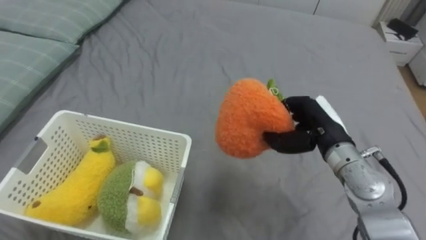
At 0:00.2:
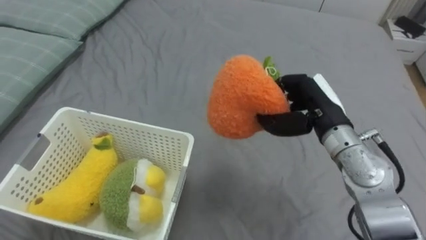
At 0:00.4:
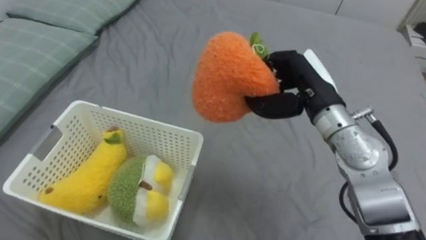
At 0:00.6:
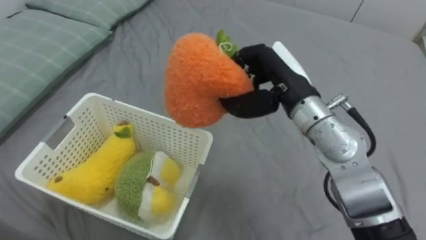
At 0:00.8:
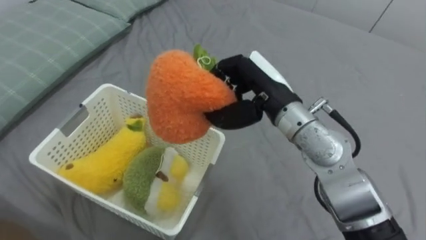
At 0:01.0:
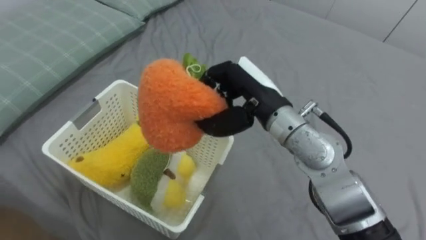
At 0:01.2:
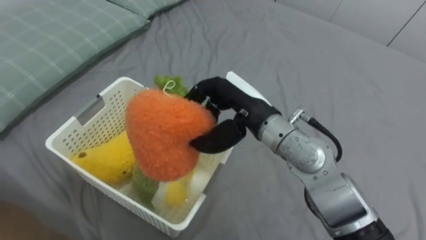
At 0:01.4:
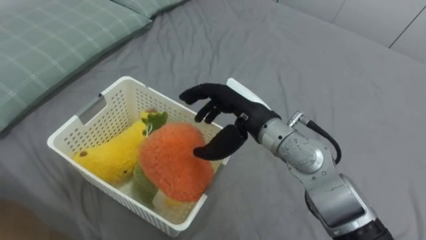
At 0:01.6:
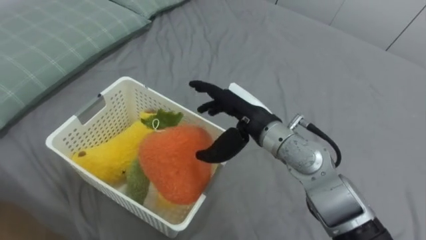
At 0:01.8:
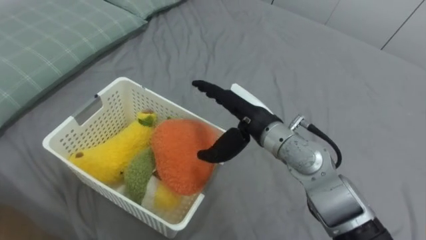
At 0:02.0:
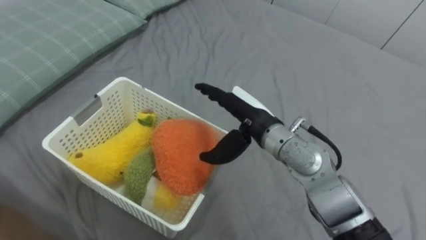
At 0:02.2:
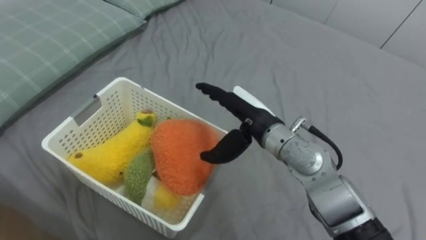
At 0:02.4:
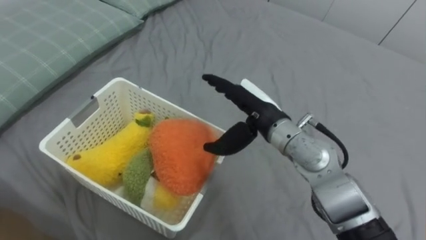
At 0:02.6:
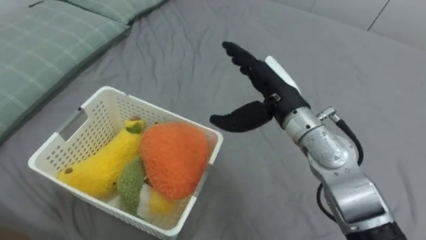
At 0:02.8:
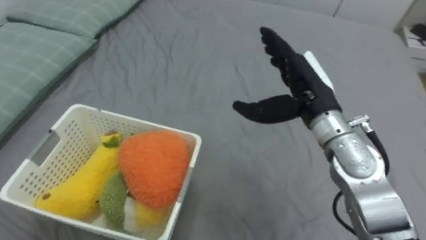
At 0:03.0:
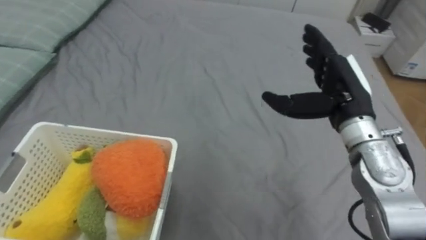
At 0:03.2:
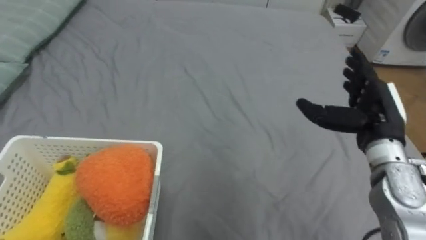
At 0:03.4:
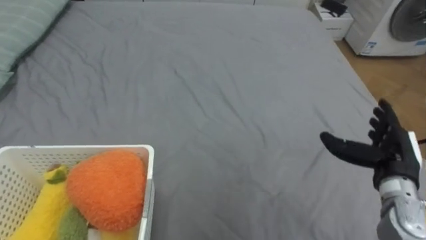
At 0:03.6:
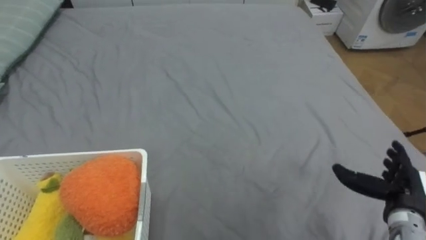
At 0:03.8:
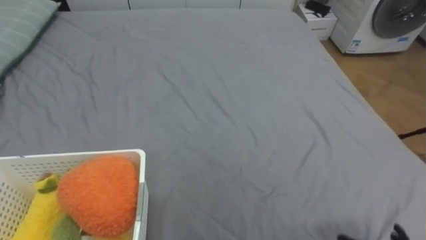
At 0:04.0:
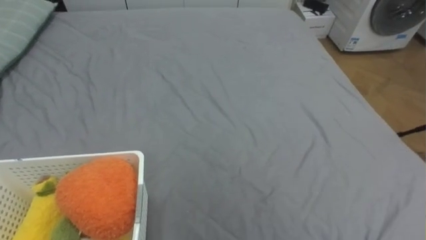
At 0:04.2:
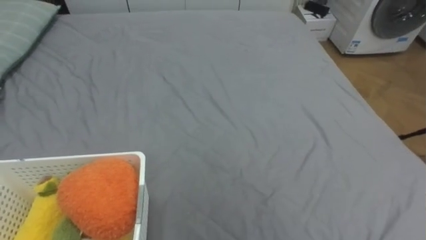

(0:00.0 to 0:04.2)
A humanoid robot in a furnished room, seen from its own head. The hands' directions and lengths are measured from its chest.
Task of the whole recording: Put the toys on the bed into the basket on the left.
0:00.0 - 0:01.4: The right hand goes approximately 15 cm to the left, and opens up.
0:01.4 - 0:02.8: The right hand heads to the right, covering roughly 10 cm.

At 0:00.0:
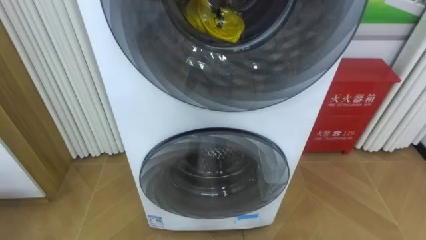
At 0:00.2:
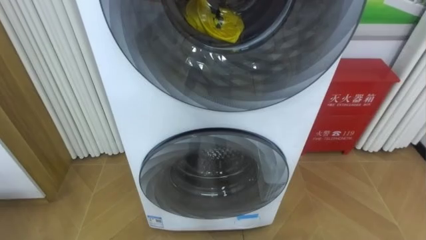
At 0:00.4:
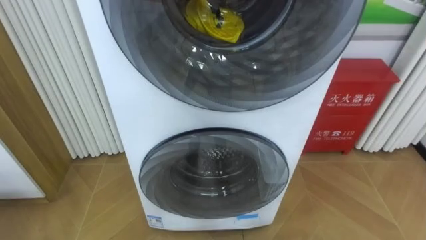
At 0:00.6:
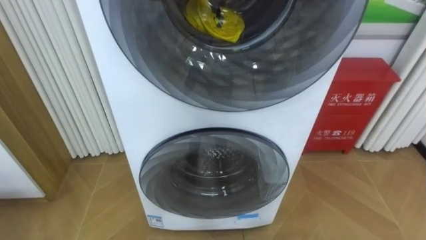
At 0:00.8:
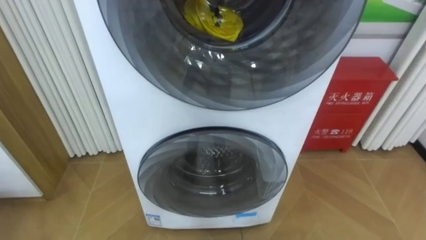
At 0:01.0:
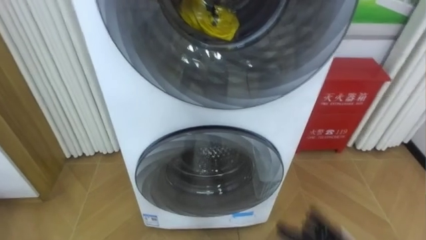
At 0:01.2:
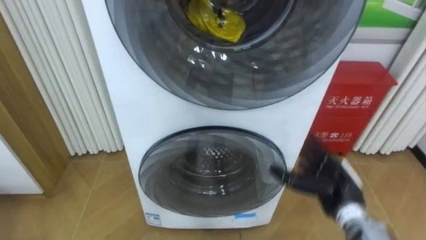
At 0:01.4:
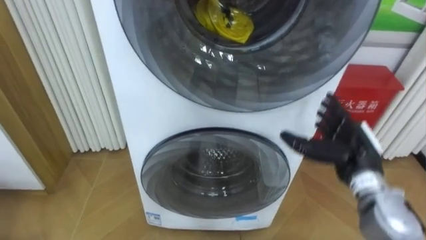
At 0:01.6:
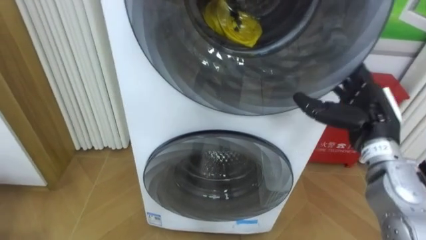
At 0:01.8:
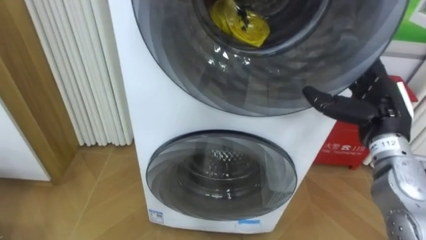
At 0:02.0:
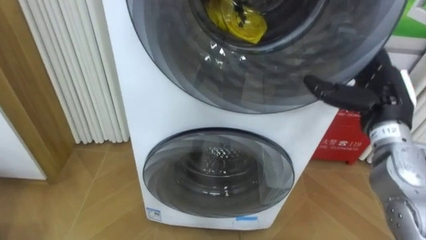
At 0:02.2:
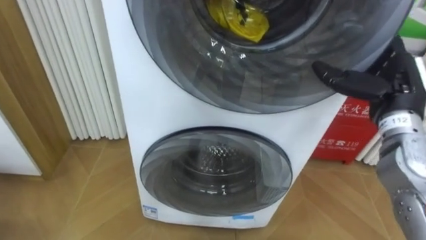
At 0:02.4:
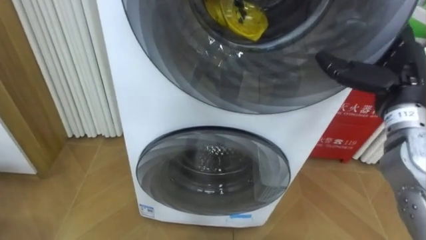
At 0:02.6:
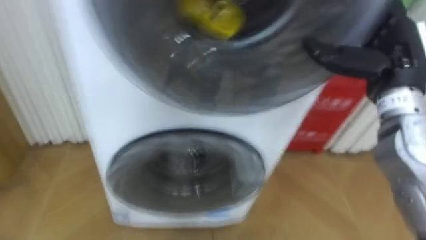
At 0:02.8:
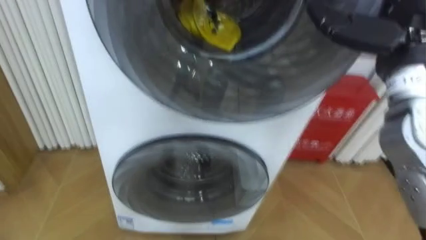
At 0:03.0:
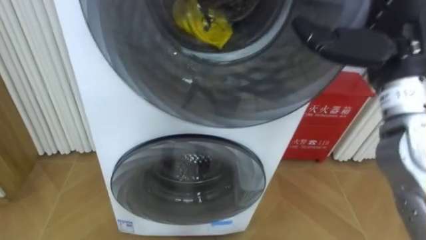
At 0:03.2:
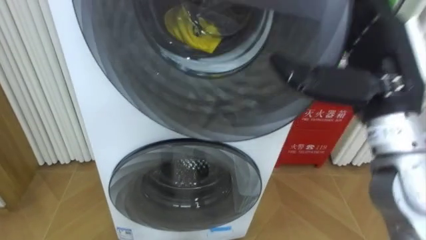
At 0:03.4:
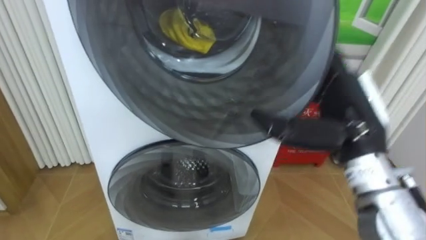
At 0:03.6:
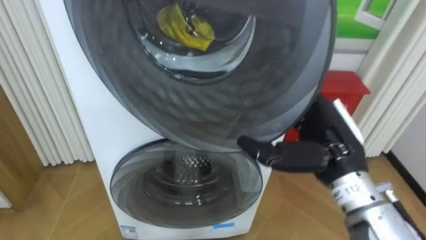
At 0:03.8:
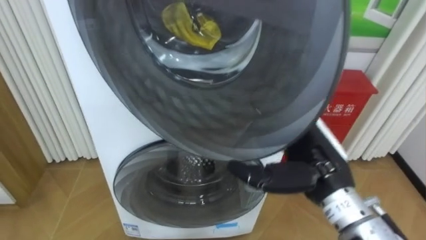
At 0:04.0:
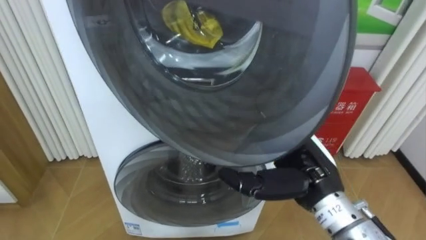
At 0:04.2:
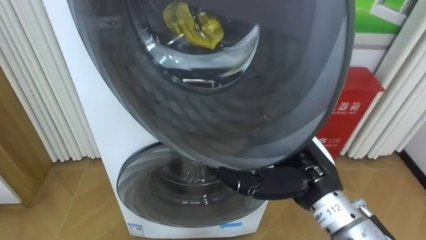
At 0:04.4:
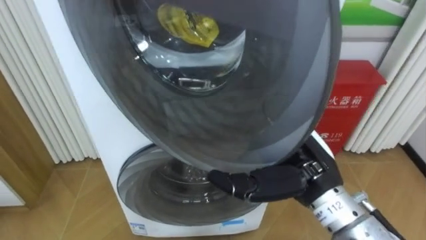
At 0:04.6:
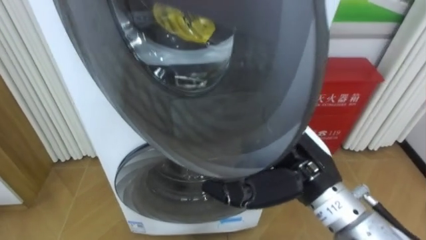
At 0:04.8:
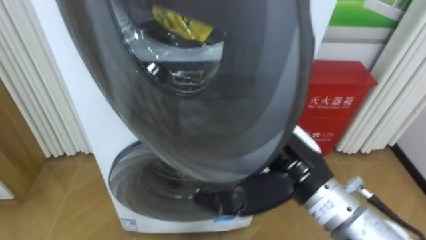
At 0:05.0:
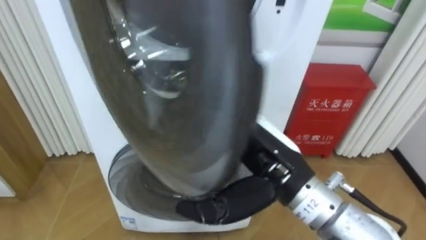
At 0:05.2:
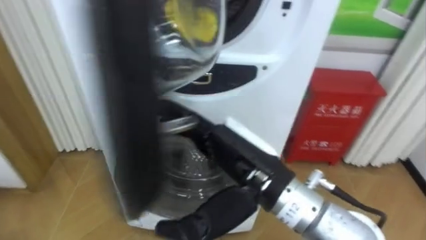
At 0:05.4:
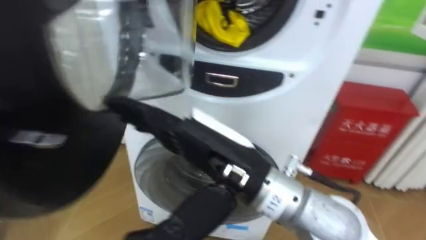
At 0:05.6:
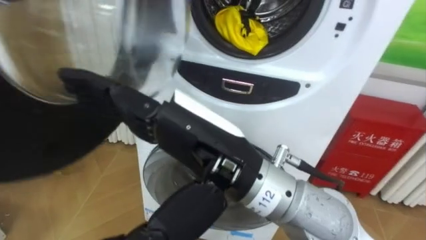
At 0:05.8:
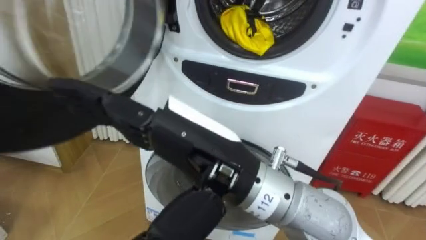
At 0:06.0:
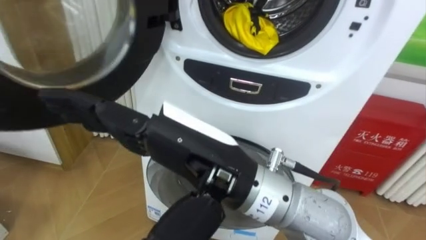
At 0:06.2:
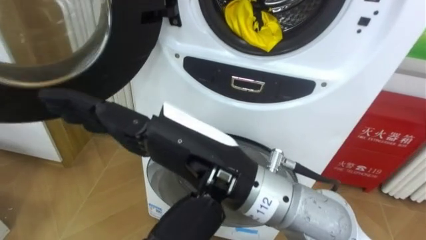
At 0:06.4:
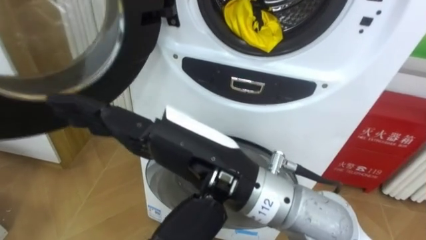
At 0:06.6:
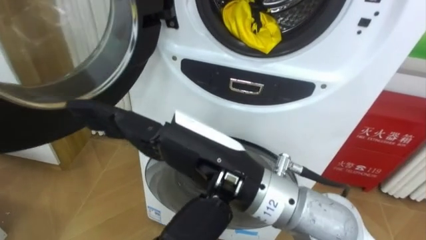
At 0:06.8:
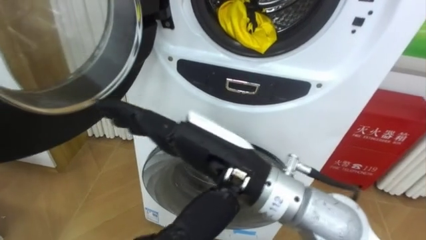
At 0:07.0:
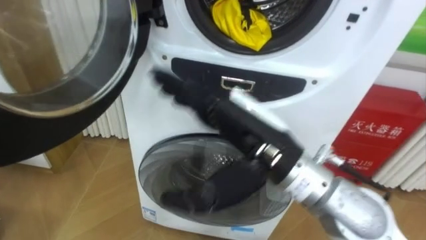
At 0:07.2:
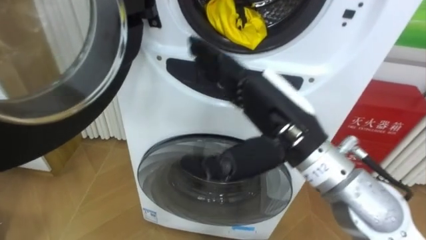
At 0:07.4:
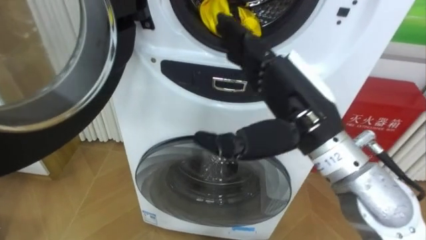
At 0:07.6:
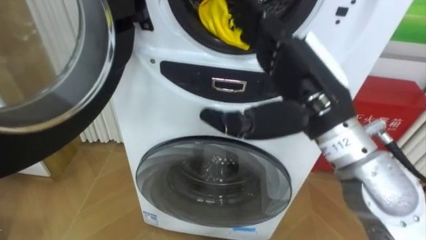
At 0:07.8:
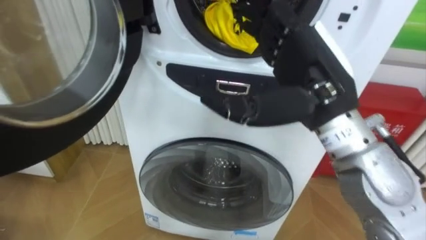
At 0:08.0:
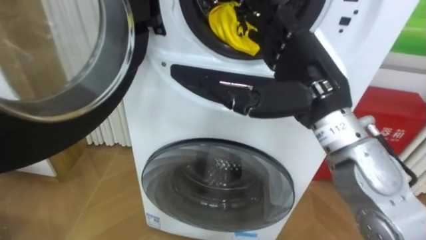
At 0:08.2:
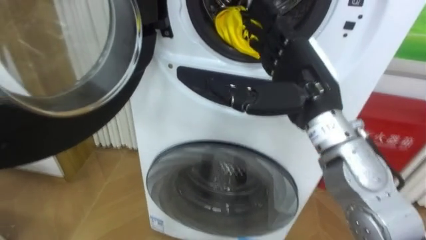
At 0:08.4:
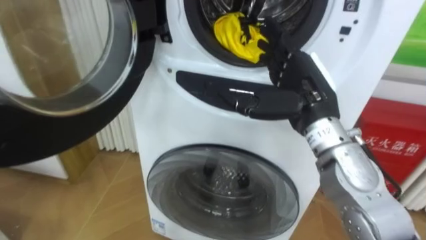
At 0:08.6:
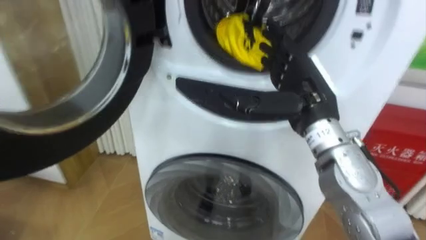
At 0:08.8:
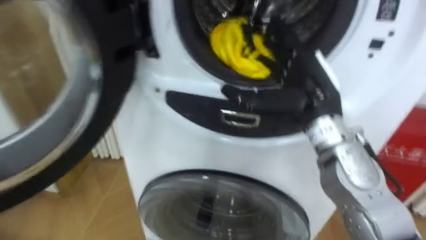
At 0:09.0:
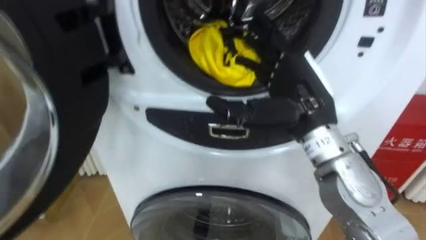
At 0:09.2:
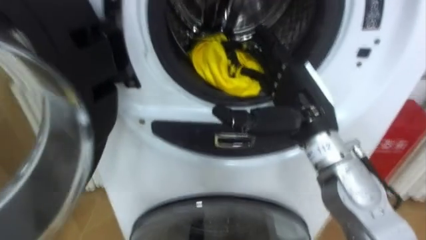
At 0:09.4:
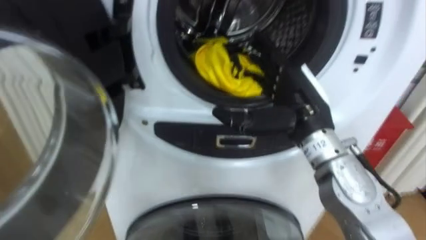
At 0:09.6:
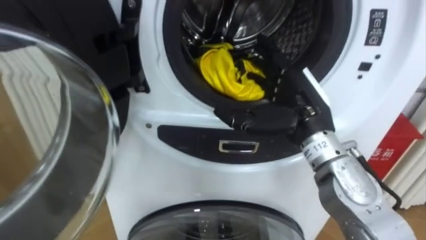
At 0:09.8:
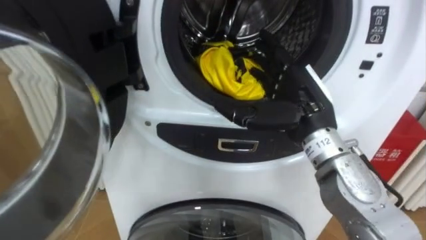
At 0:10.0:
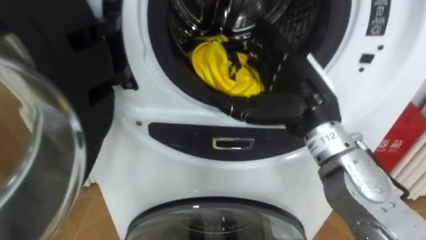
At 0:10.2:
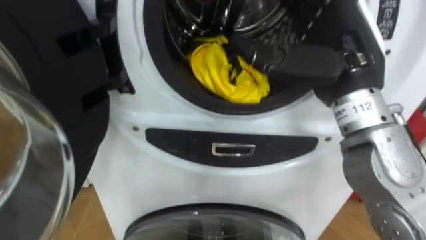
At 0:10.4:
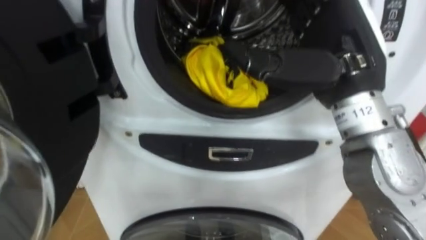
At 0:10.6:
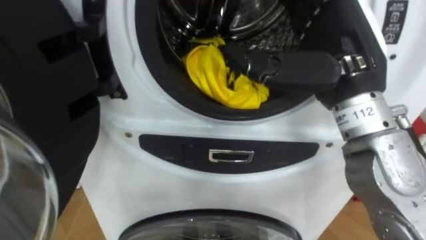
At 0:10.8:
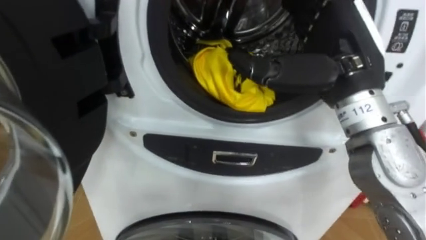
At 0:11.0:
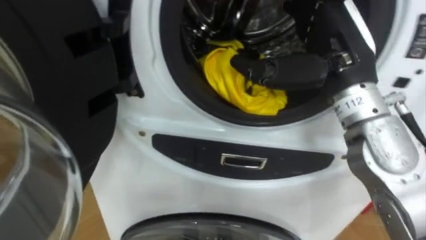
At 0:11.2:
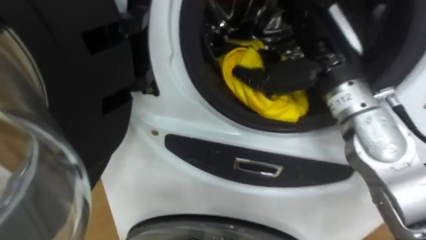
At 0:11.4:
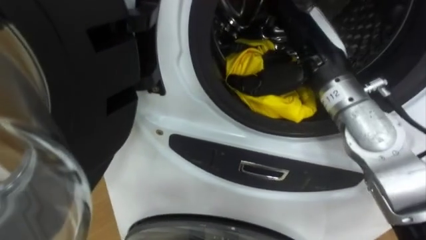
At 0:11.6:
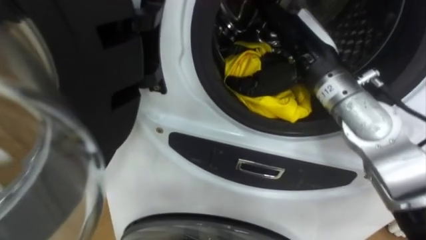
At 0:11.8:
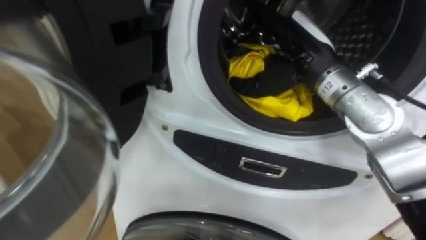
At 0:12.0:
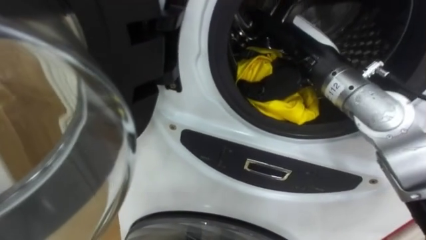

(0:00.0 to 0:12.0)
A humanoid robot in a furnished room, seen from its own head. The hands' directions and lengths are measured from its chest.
Task of the whole recording: Open the washing machine door, take out the yellow clothes, place them in the box on the right, and close the washing machine door.
0:01.6 - 0:03.0: The right hand moves upward, some 15 cm.
0:03.0 - 0:04.4: The right hand travels downward, to the left and backward by about 15 cm.
0:04.4 - 0:06.0: The right hand goes about 15 cm to the left, upward and backward.
0:06.0 - 0:07.6: The right hand goes approximately 15 cm to the right and forward.
0:07.6 - 0:09.0: The right hand moves some 5 cm.
0:09.0 - 0:10.4: The right hand heads upward, covering roughly 10 cm.
0:10.4 - 0:12.0: The right hand heads forward and downward, covering some 10 cm.
